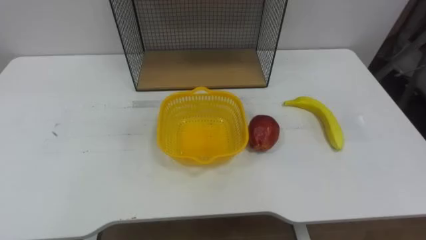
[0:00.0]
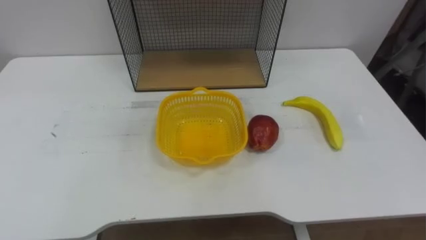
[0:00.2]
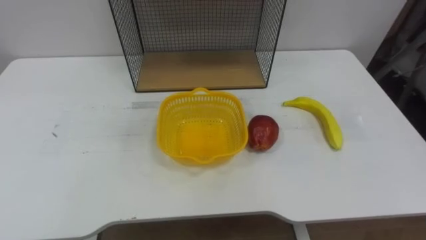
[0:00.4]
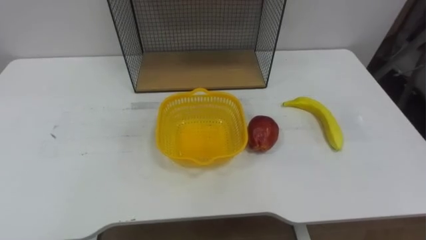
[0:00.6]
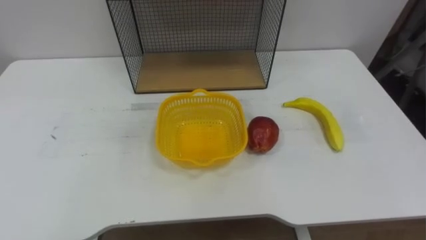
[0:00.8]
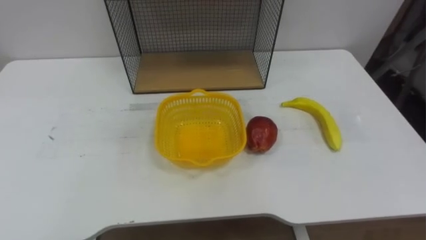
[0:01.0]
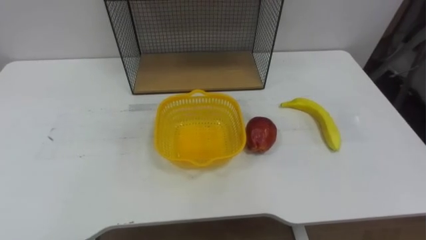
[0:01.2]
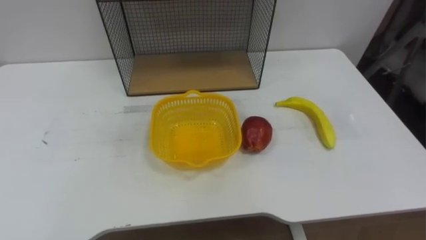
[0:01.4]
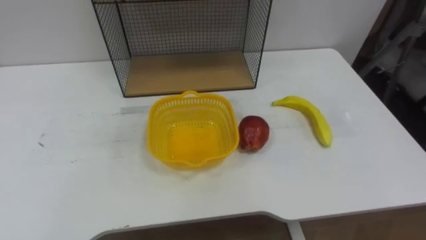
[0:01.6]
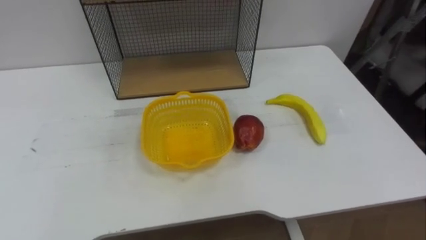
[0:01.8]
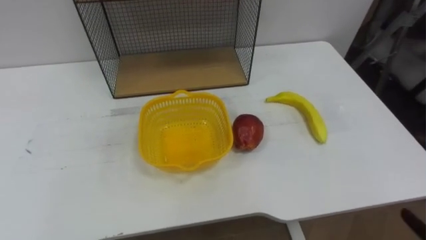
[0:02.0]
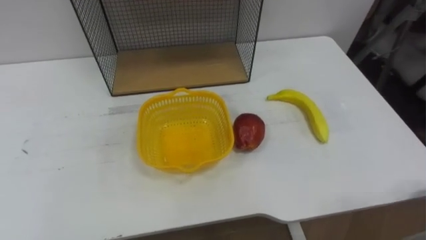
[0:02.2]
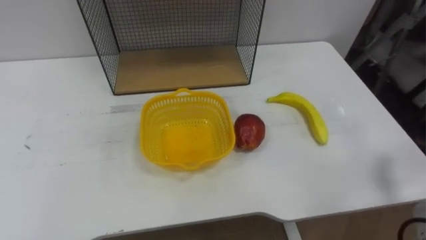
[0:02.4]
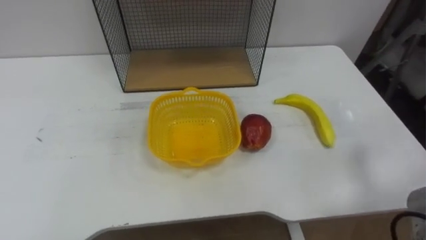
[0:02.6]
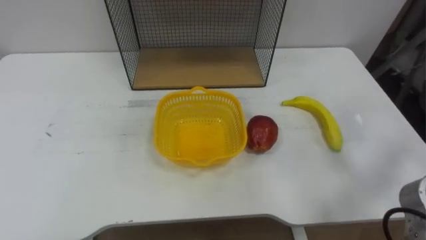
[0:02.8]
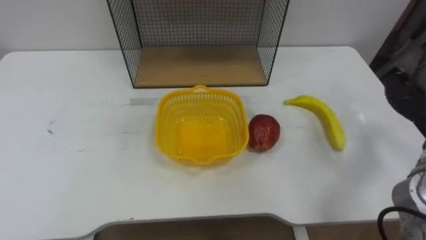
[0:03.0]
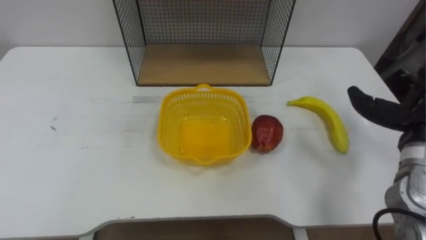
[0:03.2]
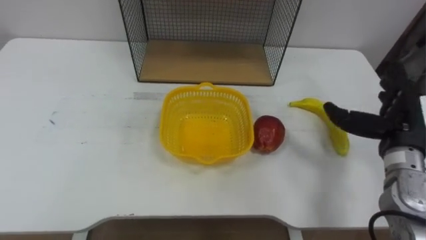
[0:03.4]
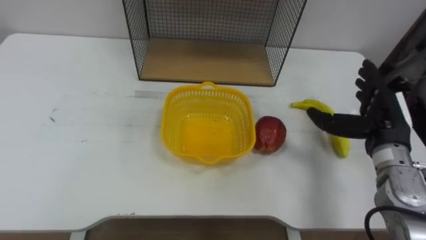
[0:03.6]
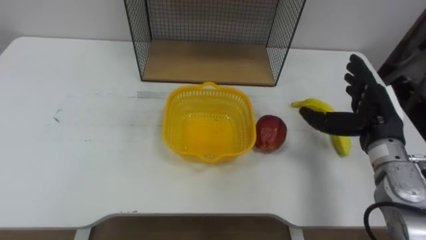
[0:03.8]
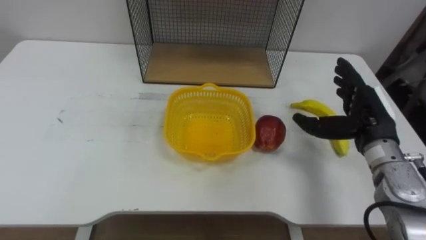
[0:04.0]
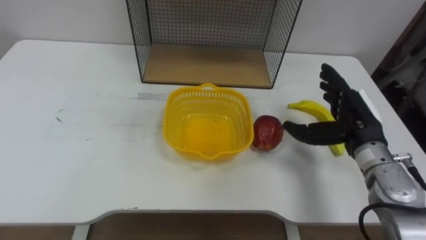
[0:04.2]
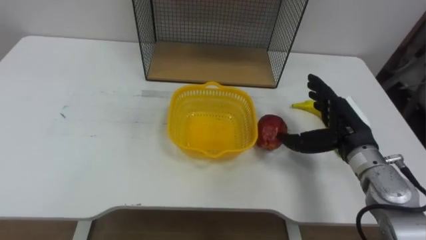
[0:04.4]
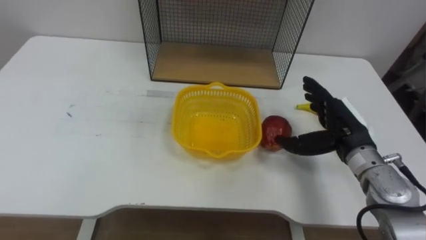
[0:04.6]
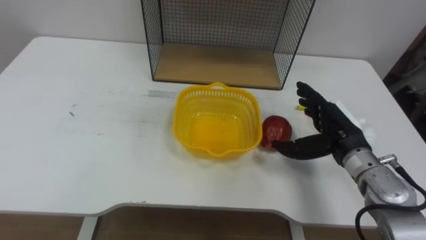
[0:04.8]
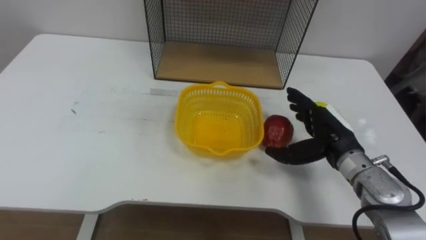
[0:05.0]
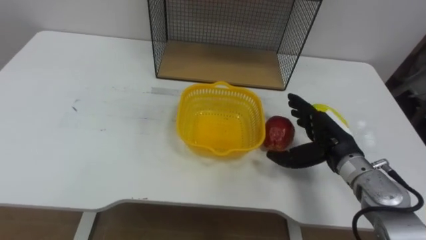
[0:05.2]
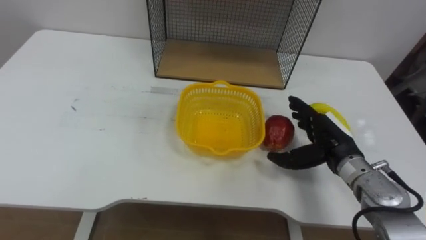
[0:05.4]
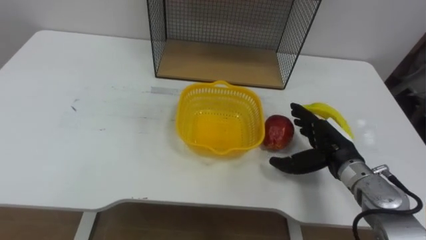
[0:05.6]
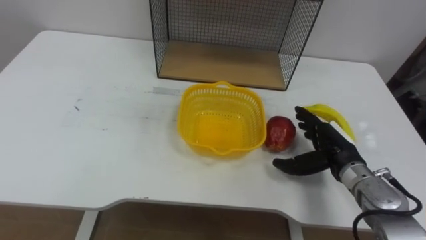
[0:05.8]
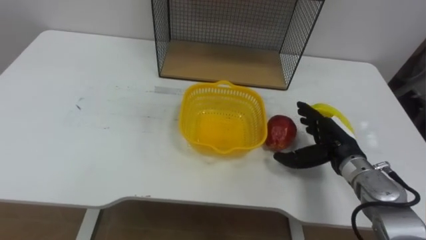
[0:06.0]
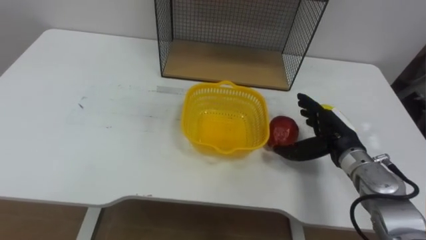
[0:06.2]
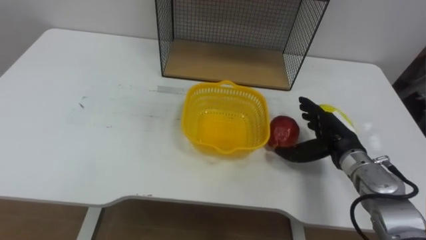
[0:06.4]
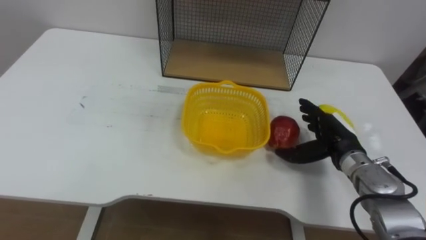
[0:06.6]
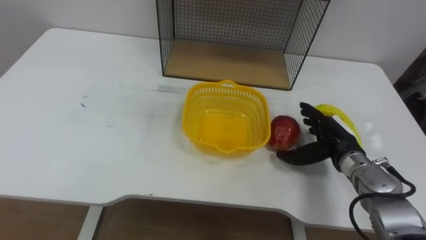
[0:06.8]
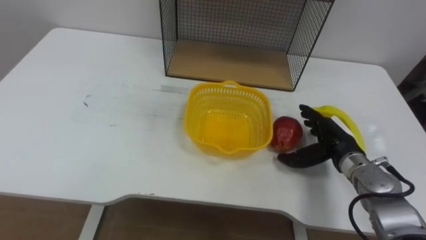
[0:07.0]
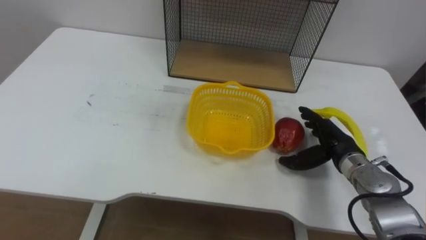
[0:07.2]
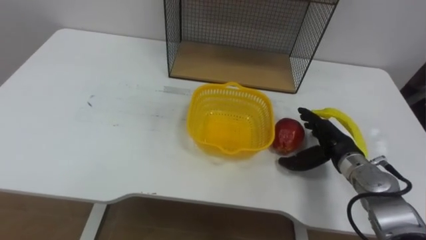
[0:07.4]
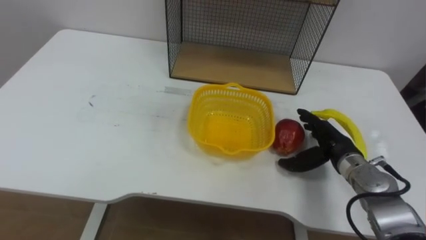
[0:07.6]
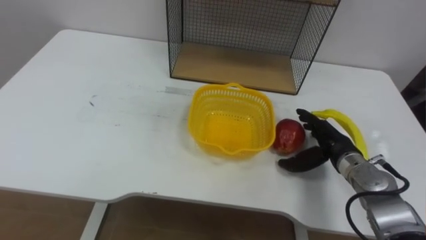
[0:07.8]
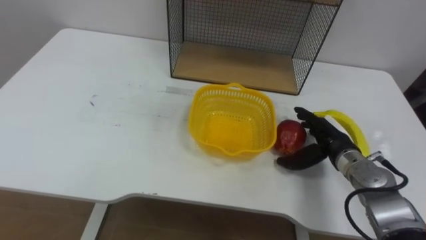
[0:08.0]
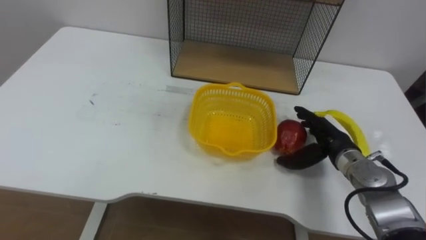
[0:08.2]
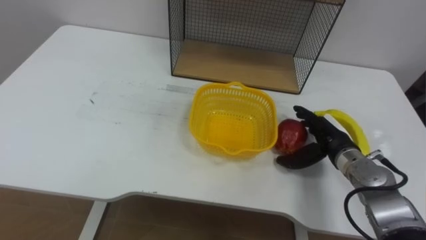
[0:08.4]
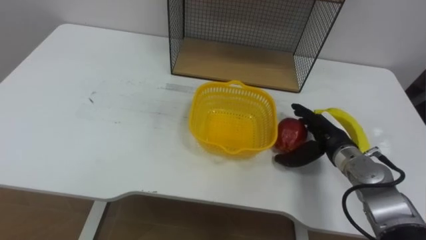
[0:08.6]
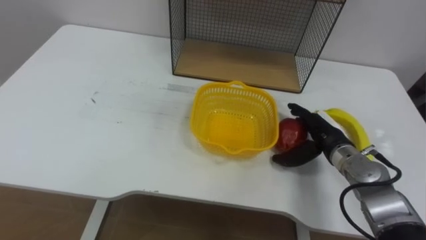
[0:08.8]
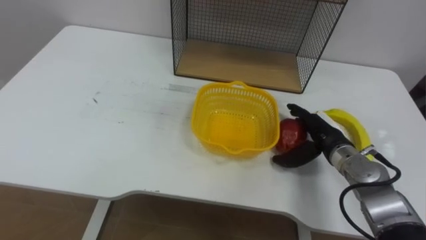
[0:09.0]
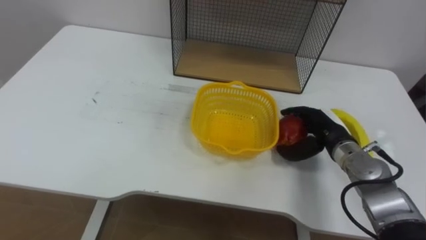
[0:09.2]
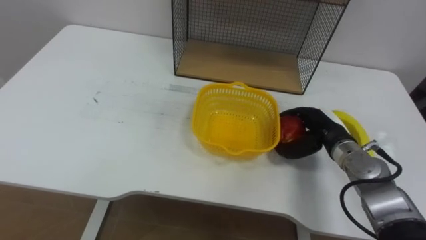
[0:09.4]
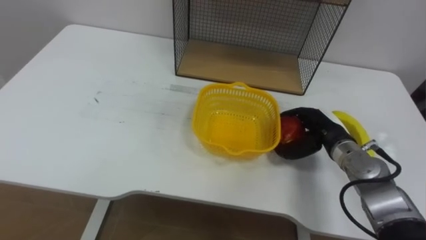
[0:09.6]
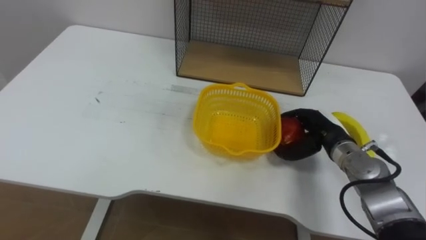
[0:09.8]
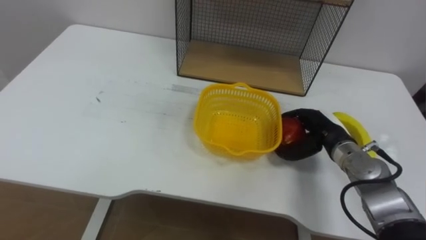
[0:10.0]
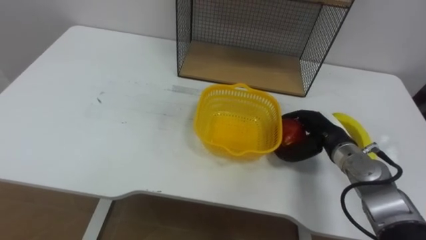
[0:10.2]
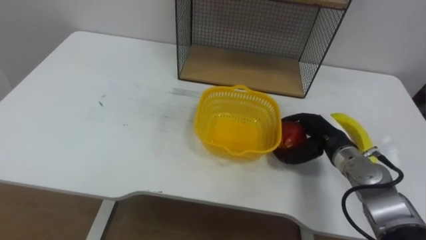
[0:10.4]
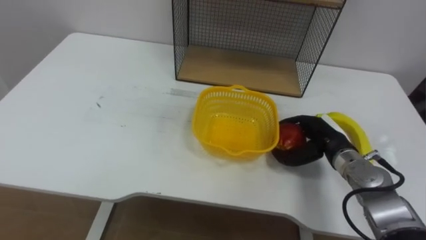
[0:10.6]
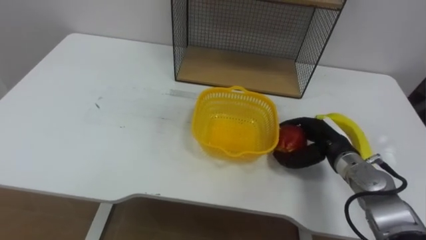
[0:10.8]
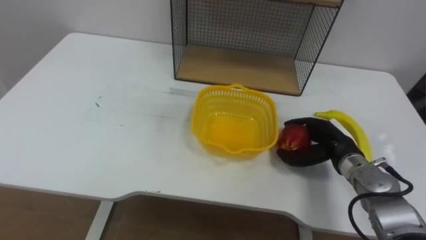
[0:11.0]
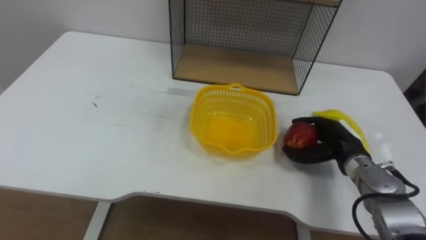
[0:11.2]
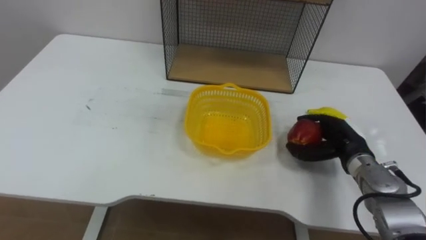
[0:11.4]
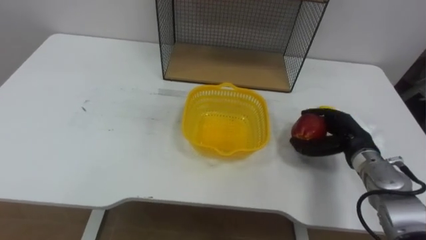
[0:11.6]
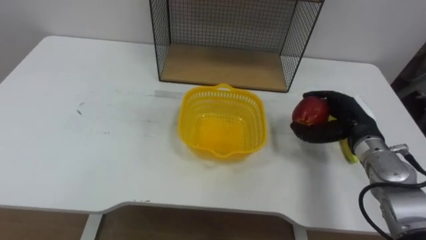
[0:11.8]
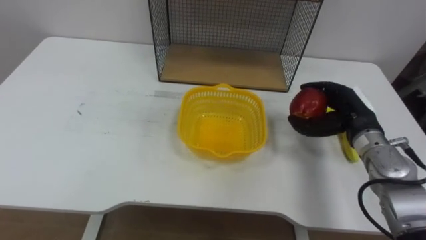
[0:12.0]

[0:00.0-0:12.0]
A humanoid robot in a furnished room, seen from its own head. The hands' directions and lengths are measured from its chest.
Task of the whole recording: Put the fruit on the table into the basket, then place the basket on the shelf.
0:04.4 to 0:06.0: The right hand travels downward by roughly 5 cm.
0:09.0 to 0:10.4: The right hand closes its fingers.
0:10.4 to 0:12.0: The right hand goes roughly 5 cm upward.

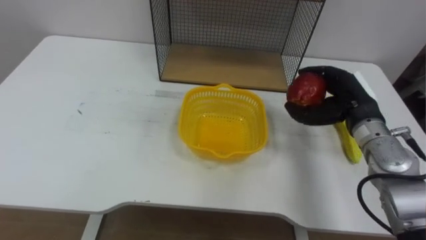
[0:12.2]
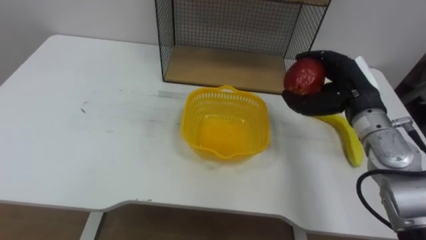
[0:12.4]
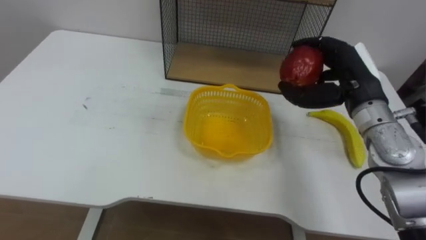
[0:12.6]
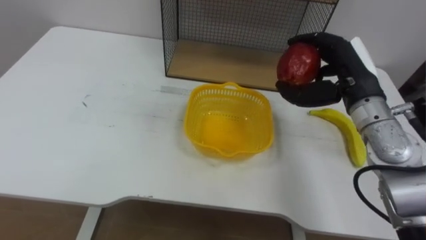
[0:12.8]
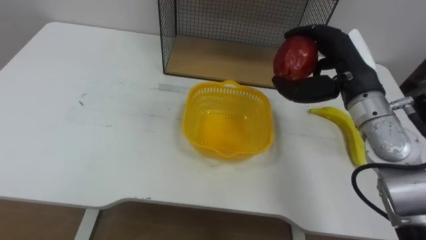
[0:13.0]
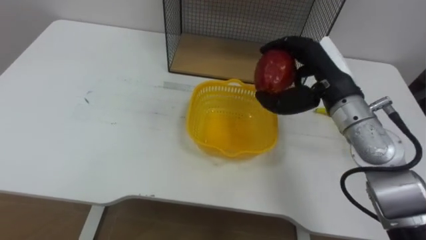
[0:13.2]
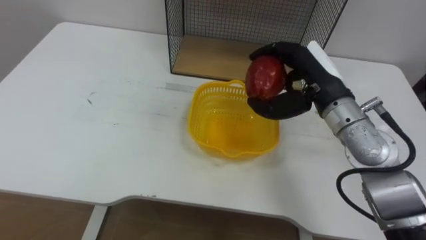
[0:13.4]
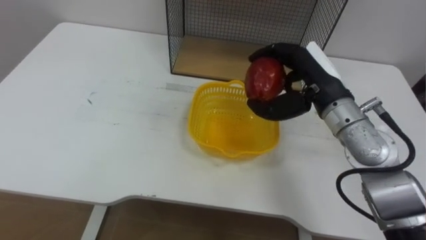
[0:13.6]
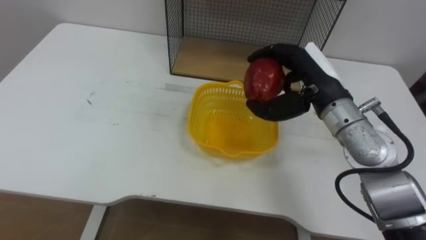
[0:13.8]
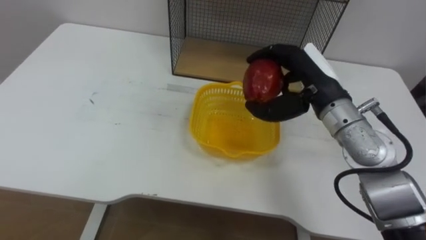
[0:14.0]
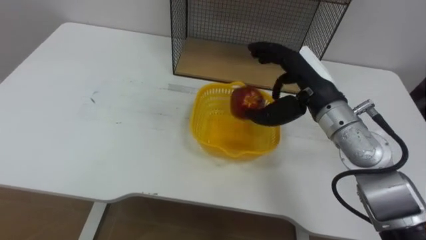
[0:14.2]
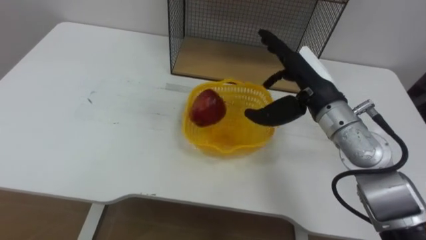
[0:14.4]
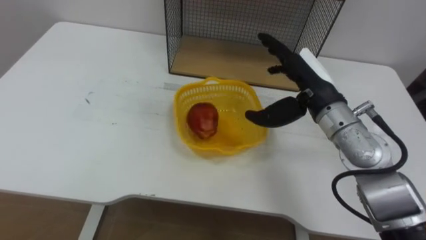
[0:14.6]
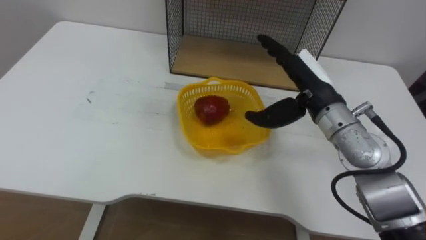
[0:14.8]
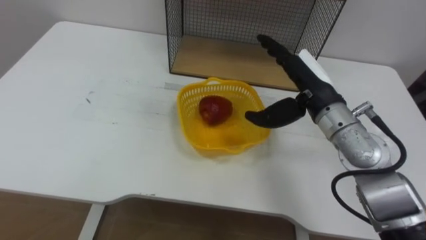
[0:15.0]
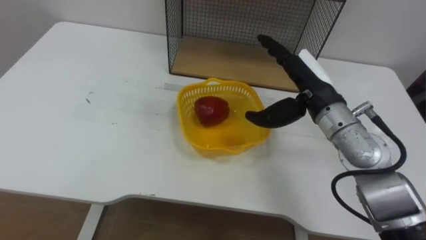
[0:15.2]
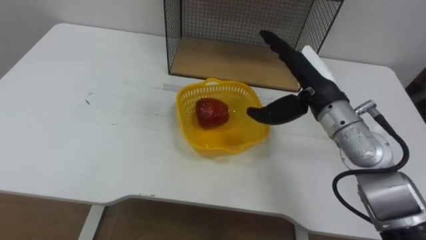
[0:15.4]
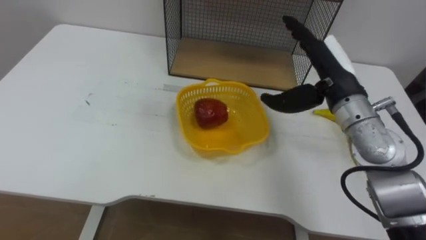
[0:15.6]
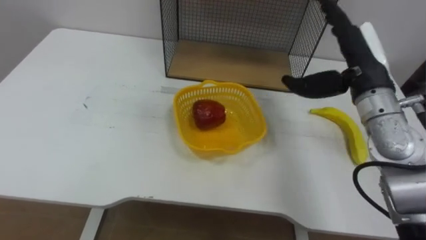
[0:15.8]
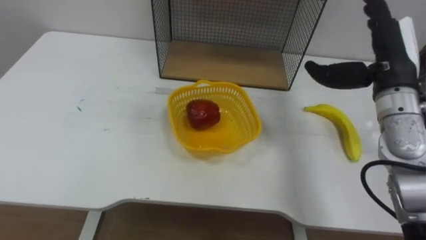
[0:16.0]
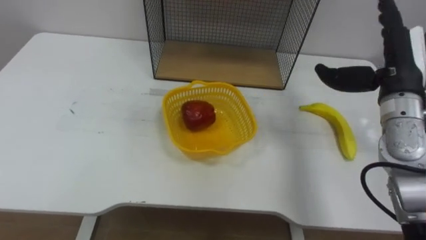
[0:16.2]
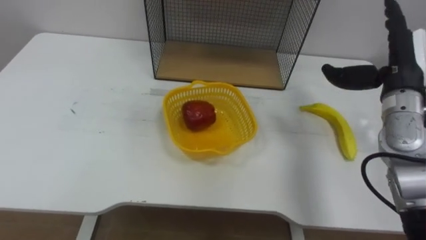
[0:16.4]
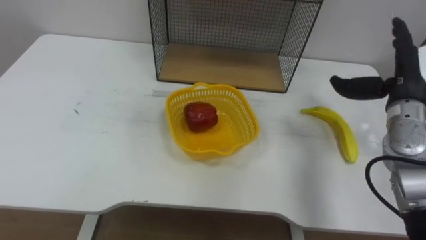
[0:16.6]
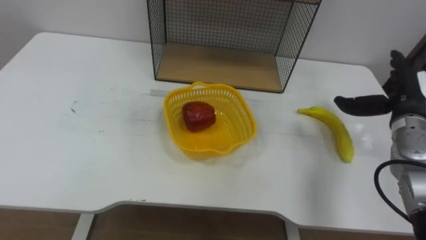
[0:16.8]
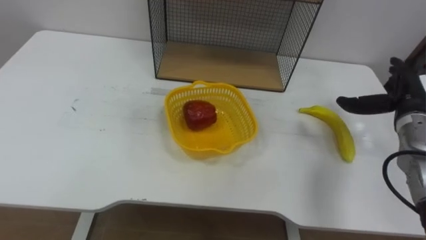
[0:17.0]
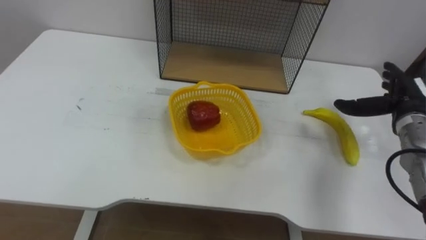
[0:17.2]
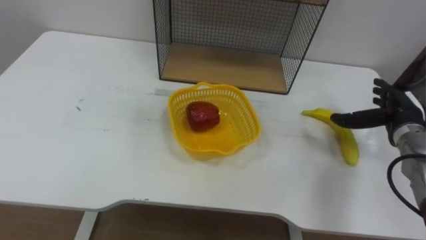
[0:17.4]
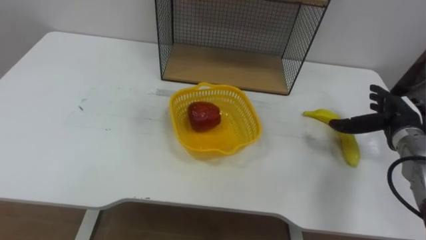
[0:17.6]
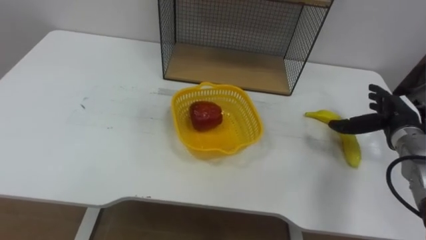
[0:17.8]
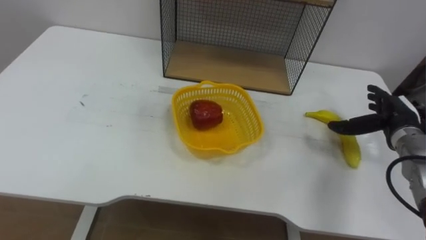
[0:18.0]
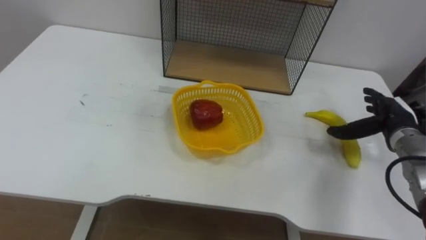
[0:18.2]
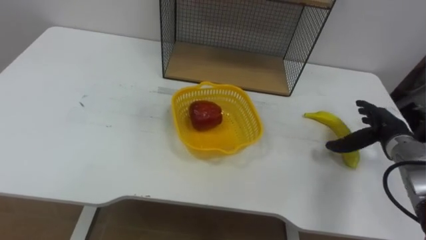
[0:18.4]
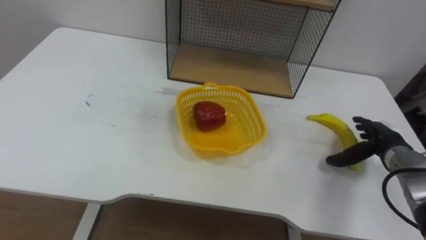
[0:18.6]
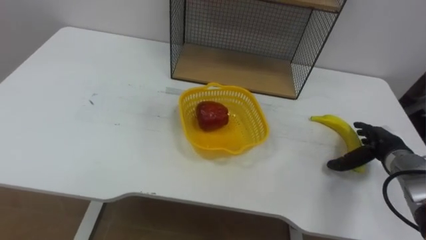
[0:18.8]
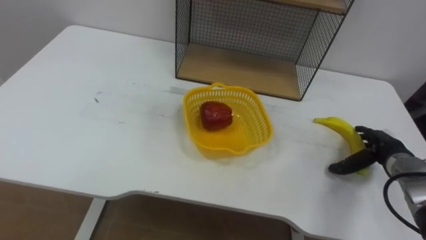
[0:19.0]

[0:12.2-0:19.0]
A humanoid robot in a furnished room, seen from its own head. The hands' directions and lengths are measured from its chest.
Task of the whole recording: Put the fruit on the table into the basket, then place the basket on the shelf.
0:12.2 to 0:13.6: The right hand travels to the left and upward by approximately 10 cm.
0:13.6 to 0:15.0: The right hand opens up.
0:15.0 to 0:16.2: The right hand heads to the right, covering about 10 cm.
0:16.2 to 0:17.6: The right hand shifts about 15 cm downward and to the right.
0:17.6 to 0:19.0: The right hand heads downward, covering some 5 cm.
